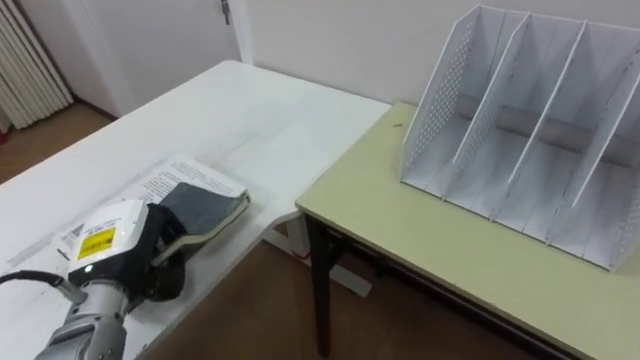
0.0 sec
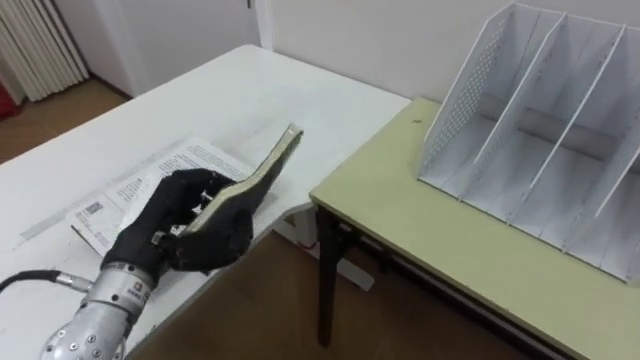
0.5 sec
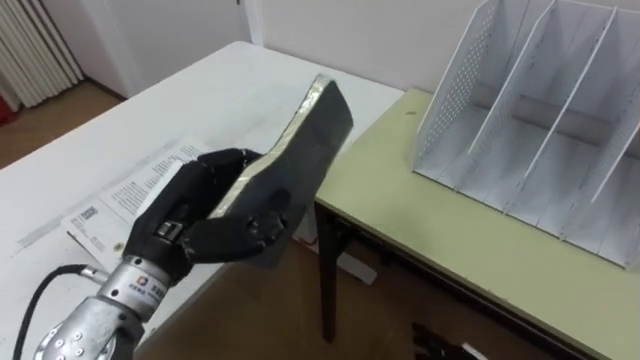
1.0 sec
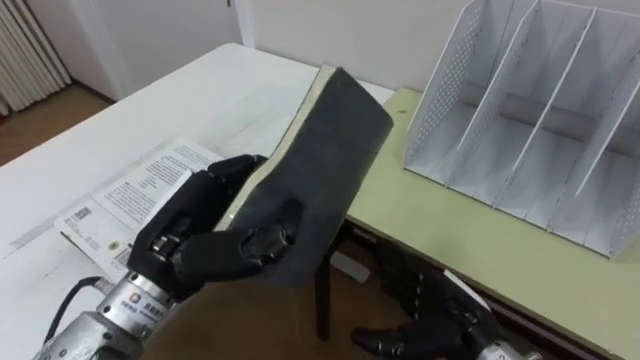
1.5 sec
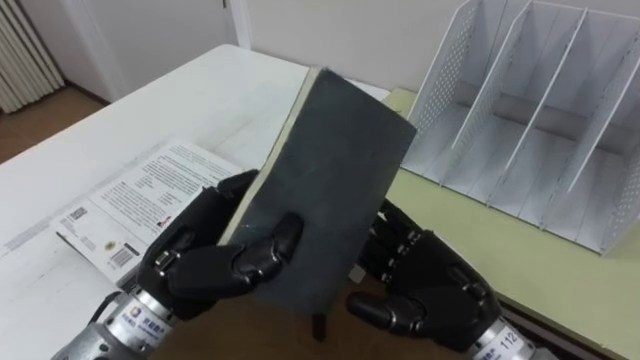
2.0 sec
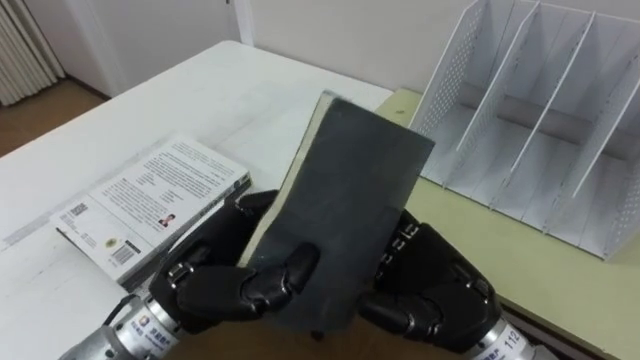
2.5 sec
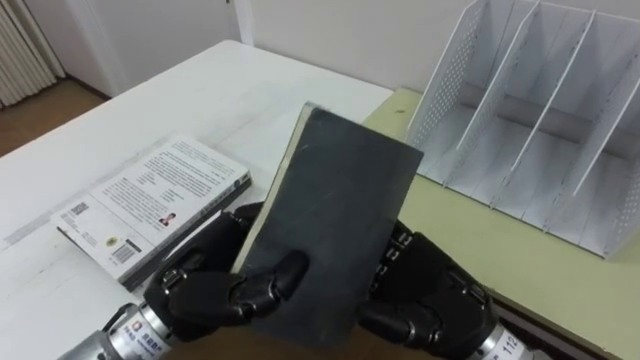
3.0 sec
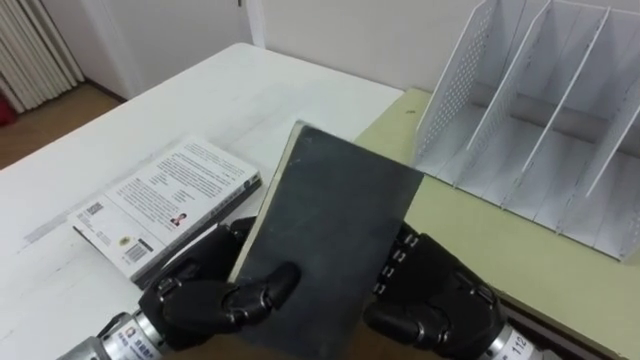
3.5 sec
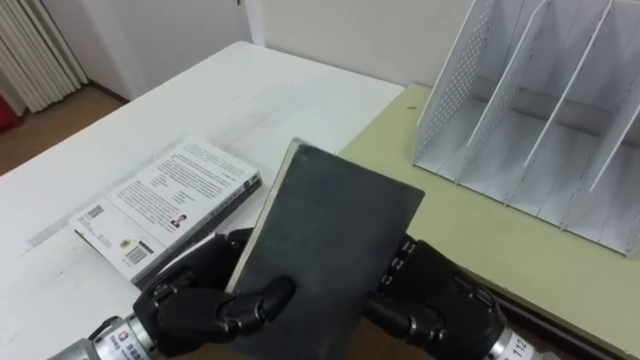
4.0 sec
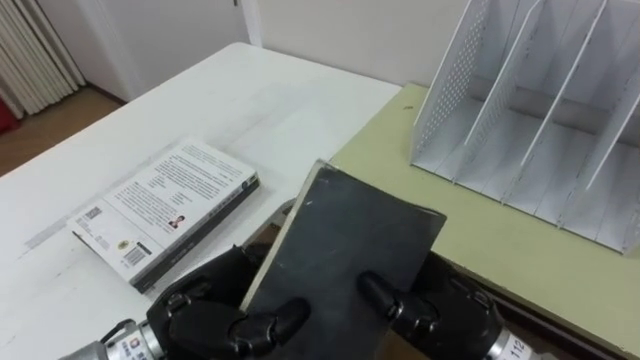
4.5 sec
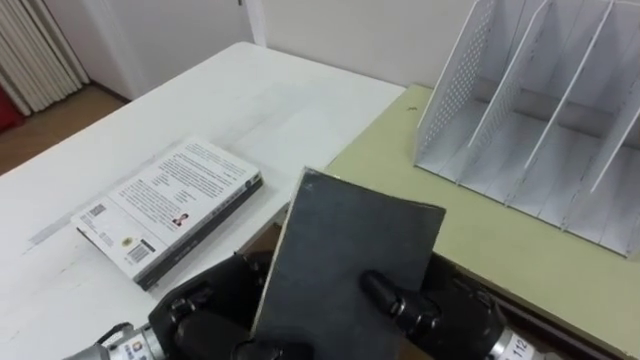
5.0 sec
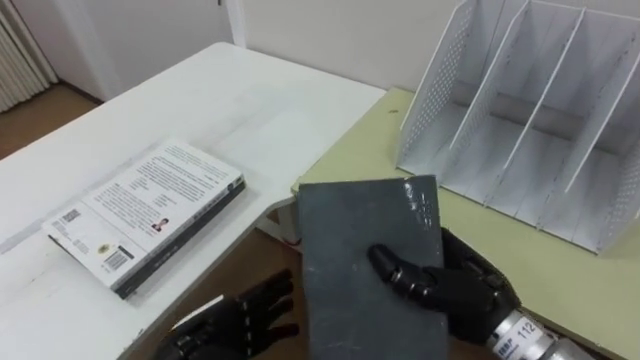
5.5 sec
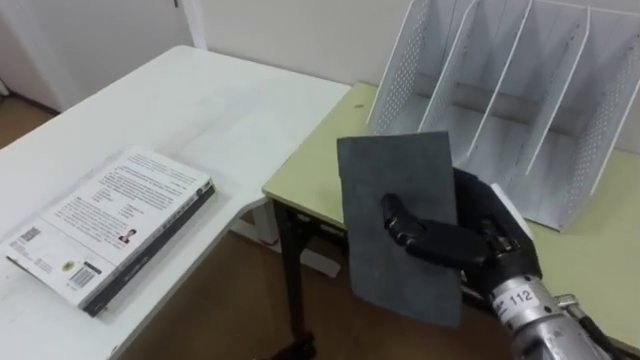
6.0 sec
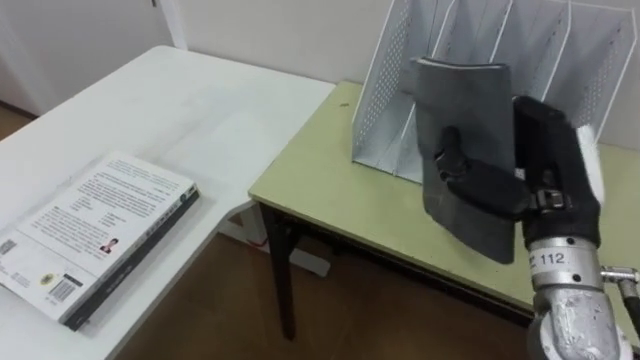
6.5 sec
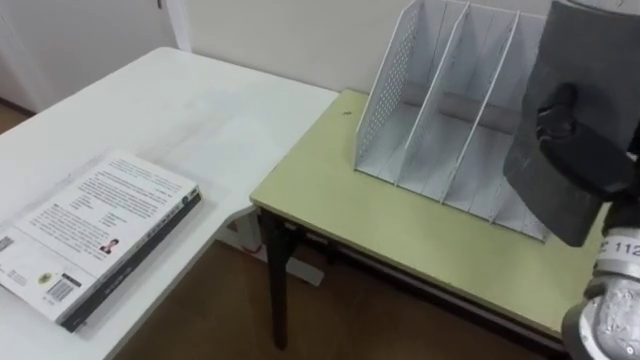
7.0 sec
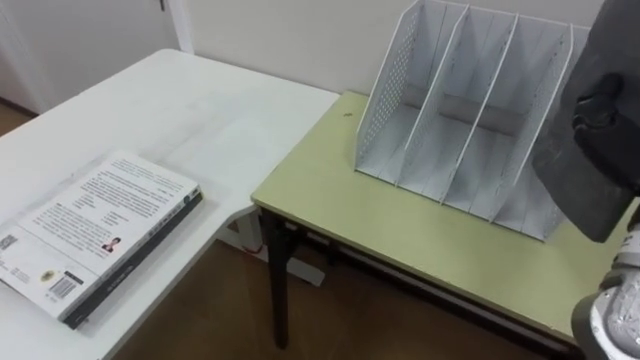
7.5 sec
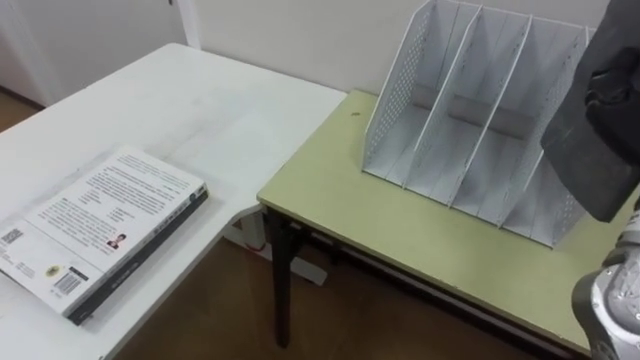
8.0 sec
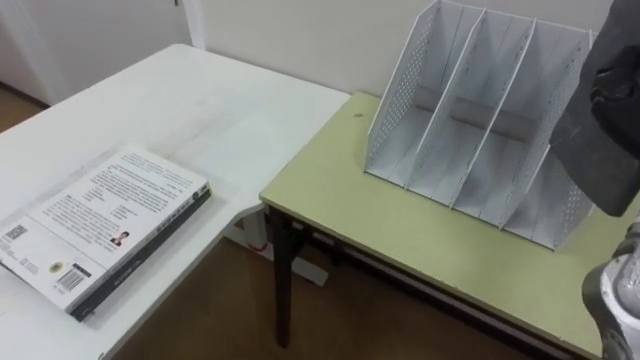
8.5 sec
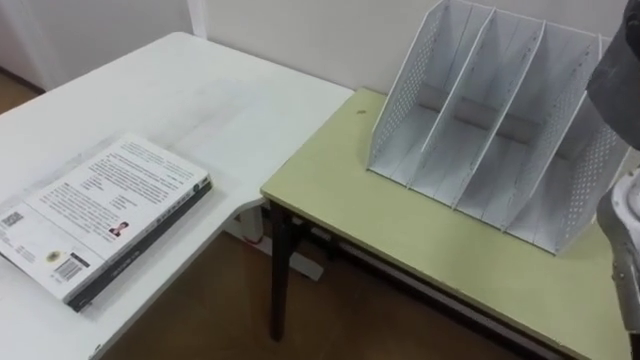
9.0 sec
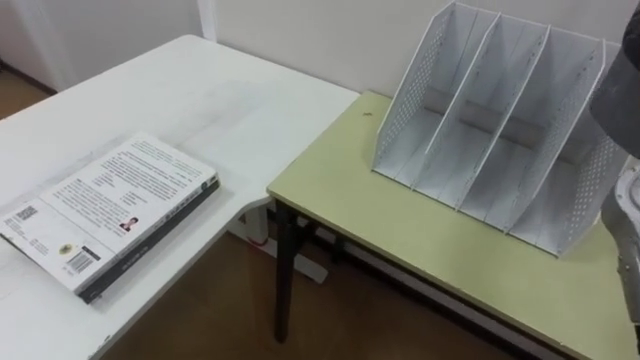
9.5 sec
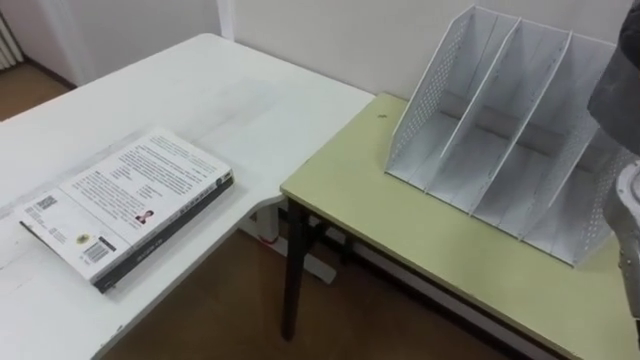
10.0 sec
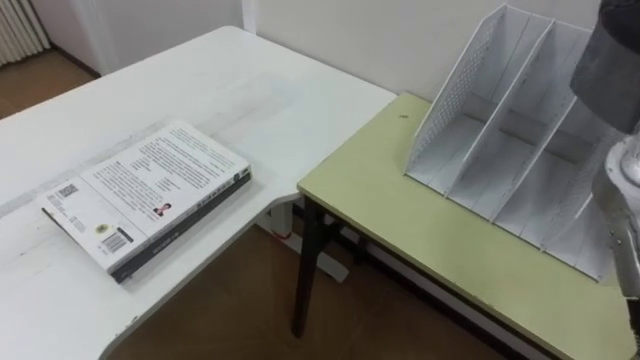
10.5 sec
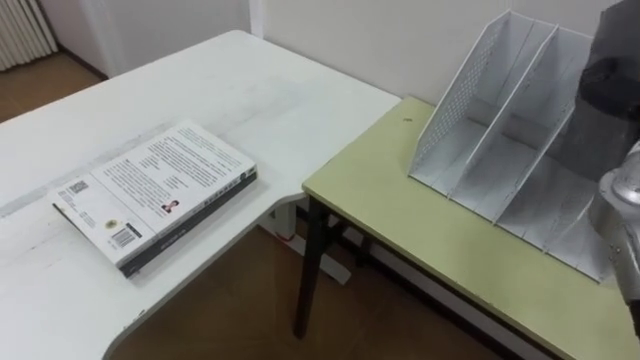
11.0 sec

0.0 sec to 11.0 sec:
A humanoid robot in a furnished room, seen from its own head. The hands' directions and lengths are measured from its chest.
Task of the whole recording: Put the books on the table onto the bookshelf.
0.0 sec to 2.0 sec: The left hand moves to the right and upward, approximately 15 cm.
3.5 sec to 5.5 sec: The right hand closes its fingers; the left hand is displaced downward by about 10 cm, and opens.

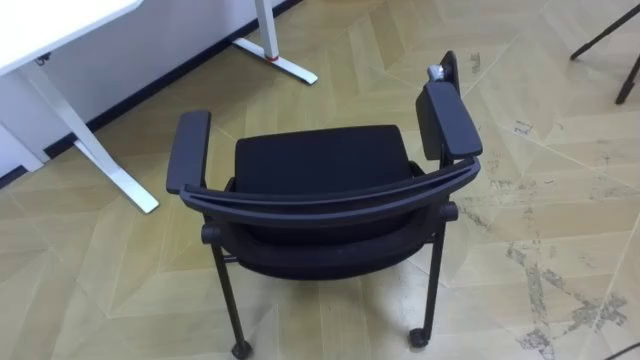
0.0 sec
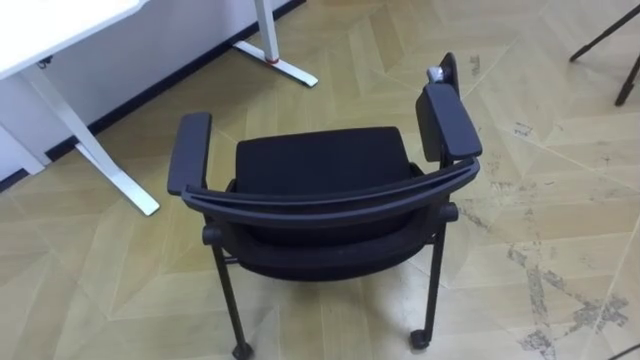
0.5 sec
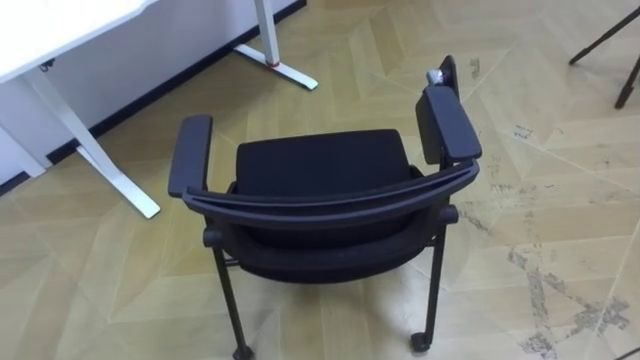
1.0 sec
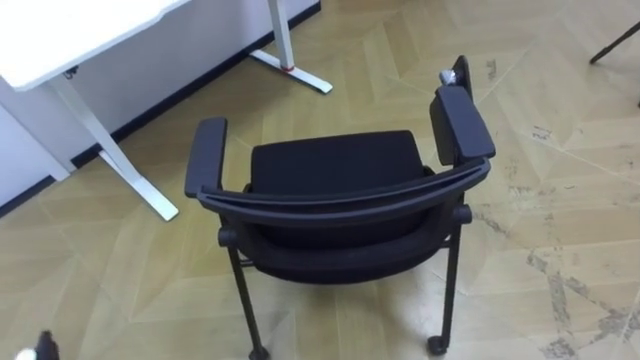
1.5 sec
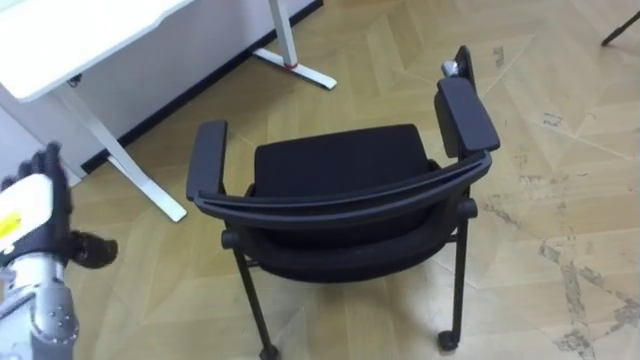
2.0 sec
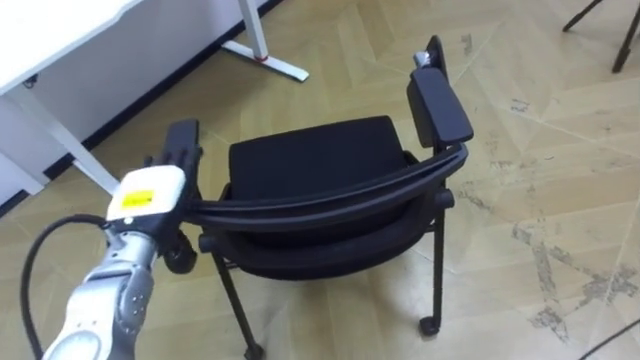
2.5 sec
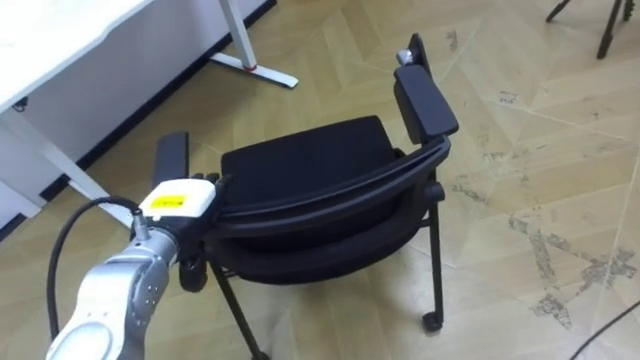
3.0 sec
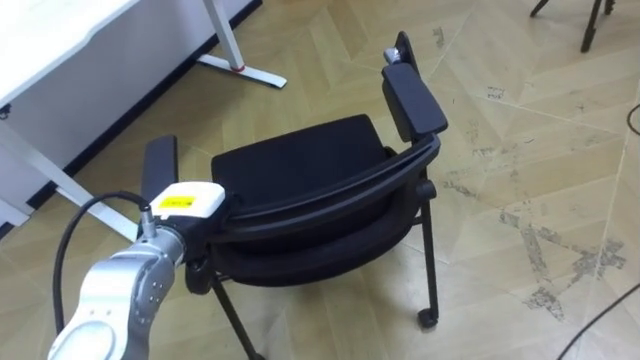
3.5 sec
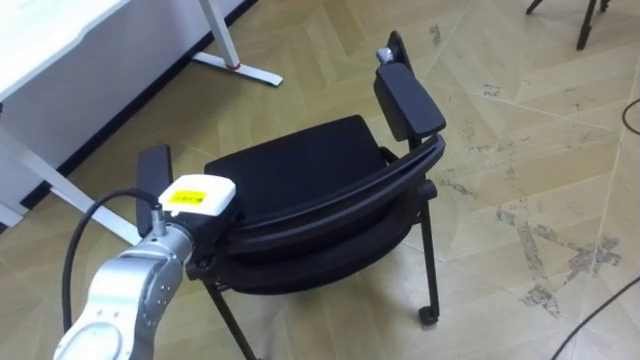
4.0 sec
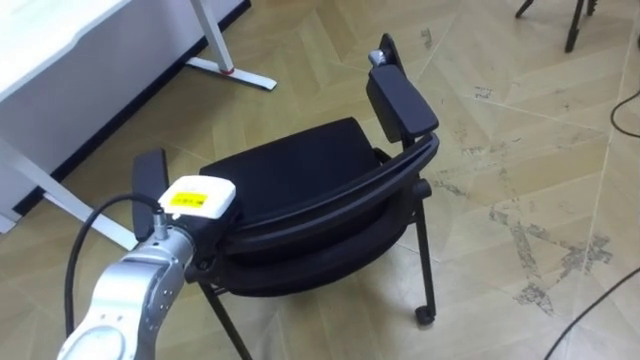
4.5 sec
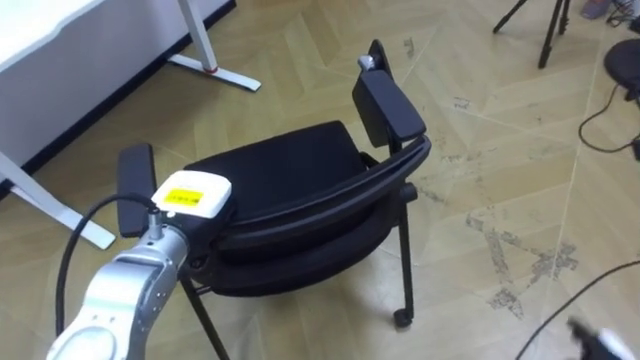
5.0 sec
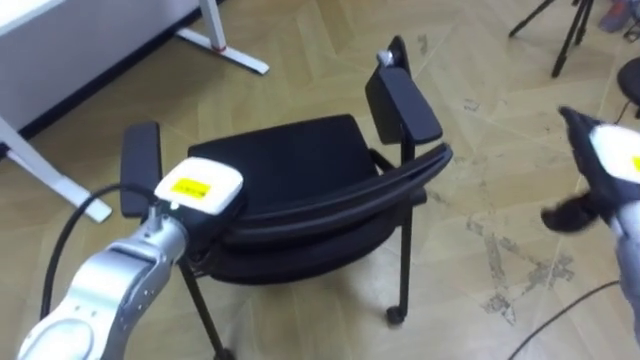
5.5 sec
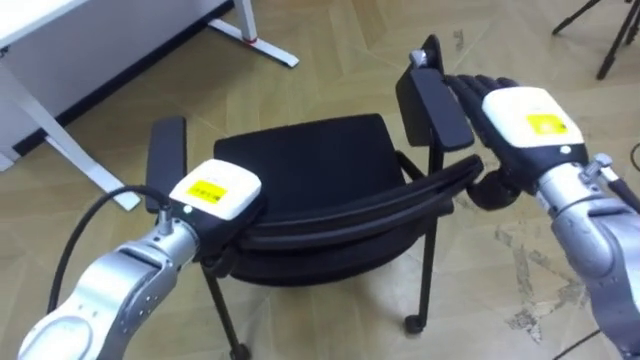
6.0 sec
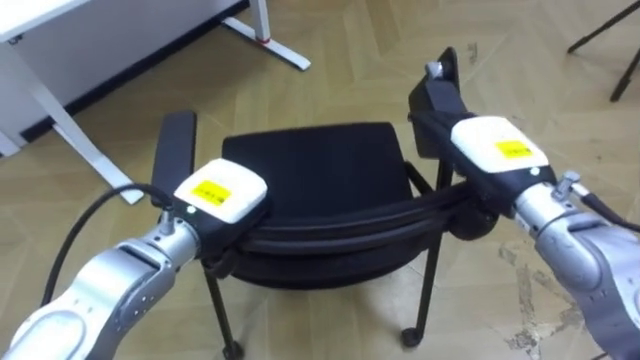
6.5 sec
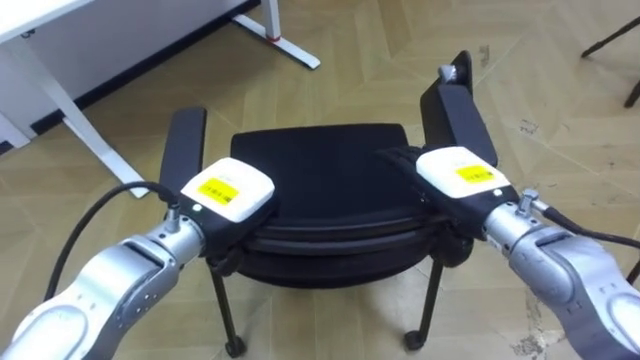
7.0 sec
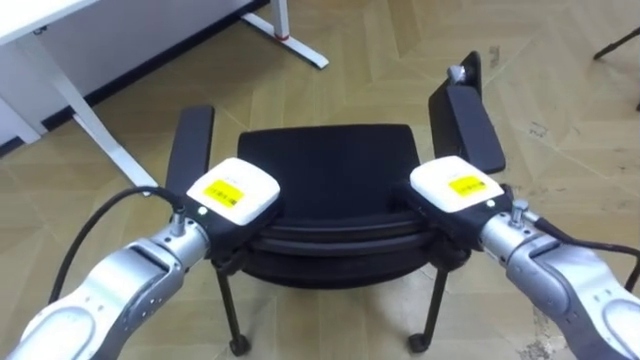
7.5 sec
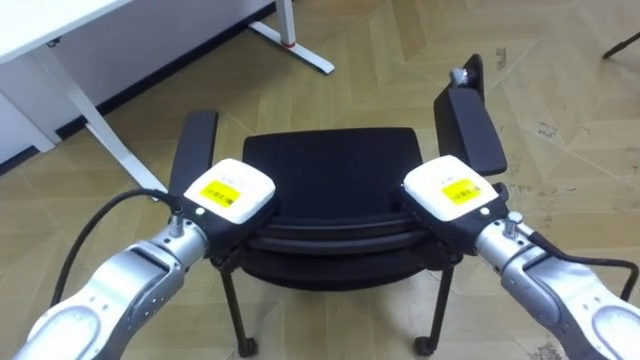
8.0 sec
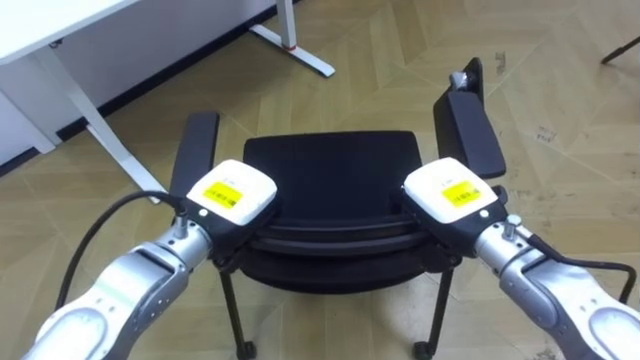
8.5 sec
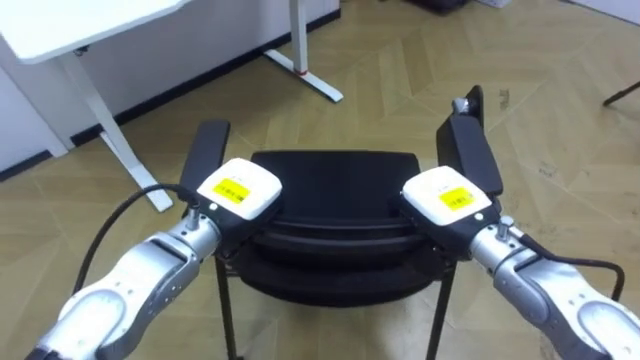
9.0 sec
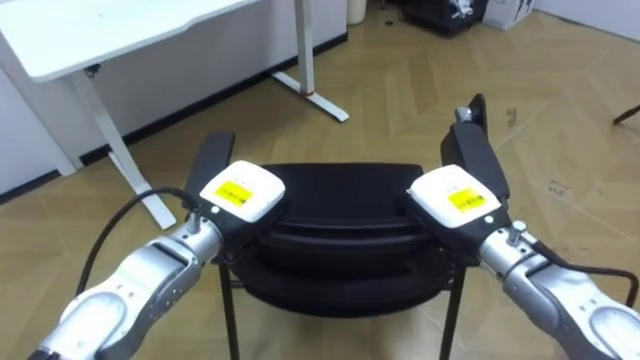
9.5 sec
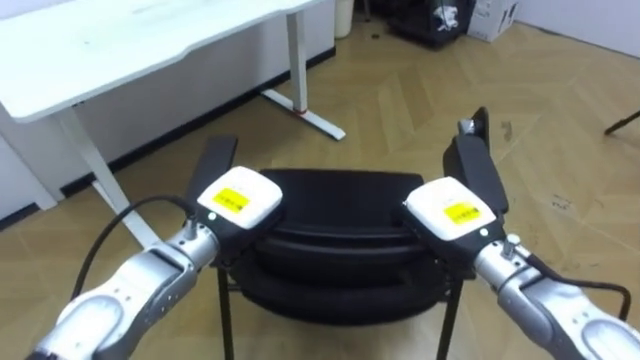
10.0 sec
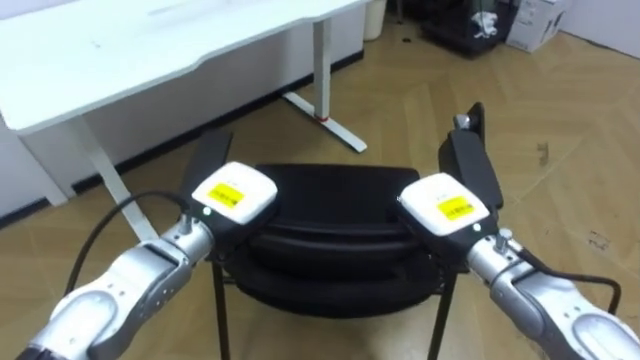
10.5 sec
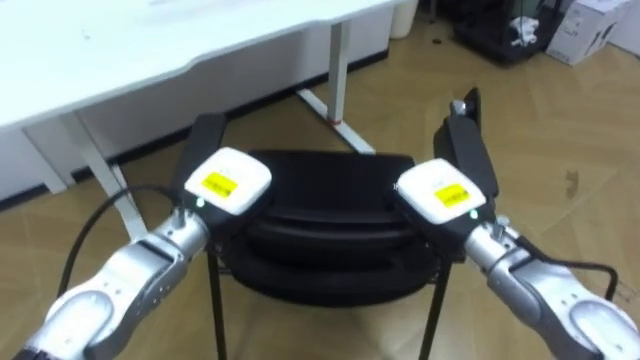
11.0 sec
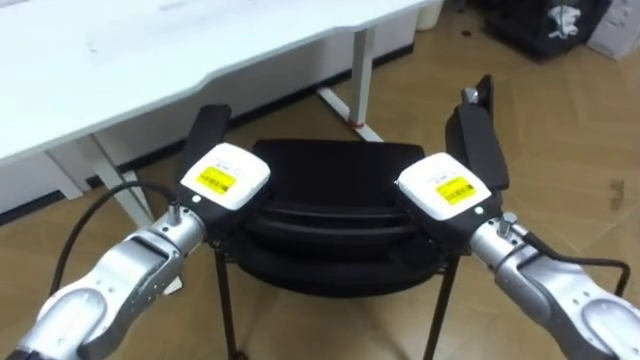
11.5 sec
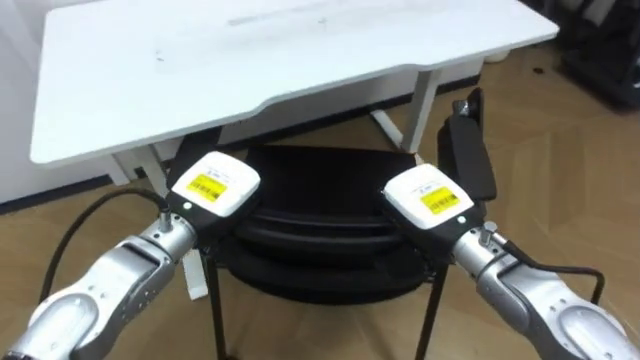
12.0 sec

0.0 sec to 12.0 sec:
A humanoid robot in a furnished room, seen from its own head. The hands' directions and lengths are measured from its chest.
Task of the whole recording: Push the chair under the table.
2.0 sec to 4.0 sec: The left hand is displaced to the right by some 20 cm, and closes up.
6.0 sec to 8.0 sec: The right hand shifts about 10 cm downward and to the left, and closes.
10.0 sec to 12.0 sec: The robot faces some 20 degrees further to its left.
